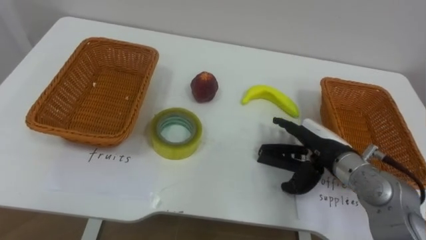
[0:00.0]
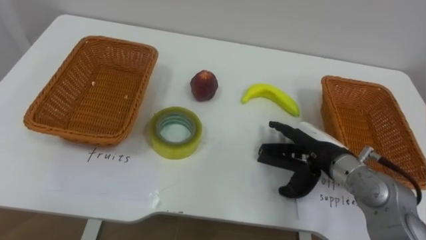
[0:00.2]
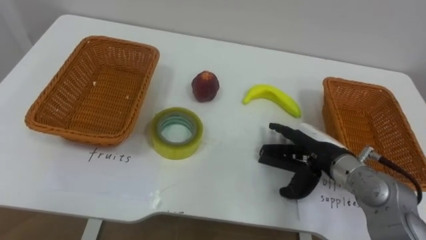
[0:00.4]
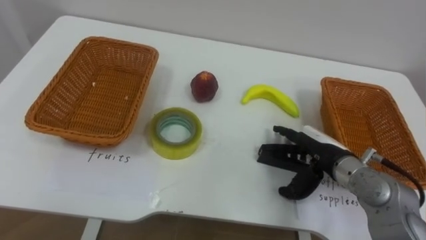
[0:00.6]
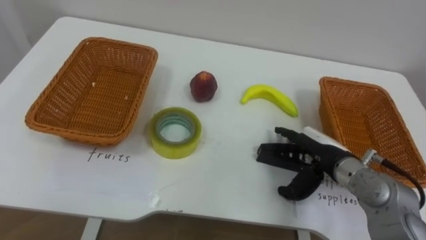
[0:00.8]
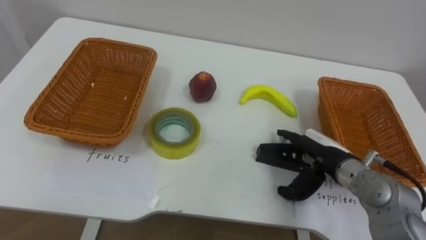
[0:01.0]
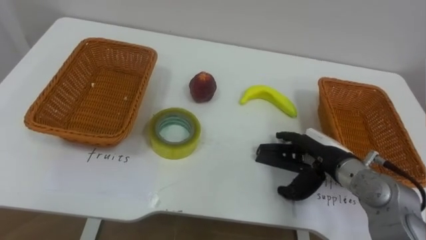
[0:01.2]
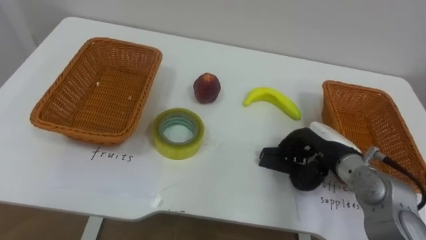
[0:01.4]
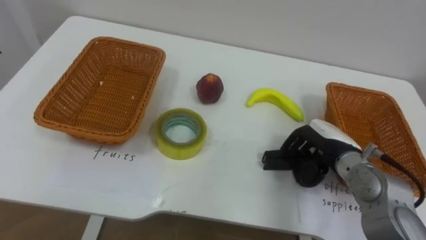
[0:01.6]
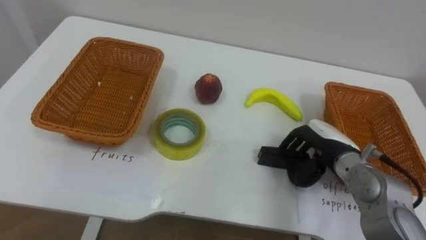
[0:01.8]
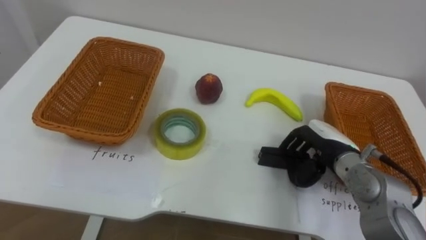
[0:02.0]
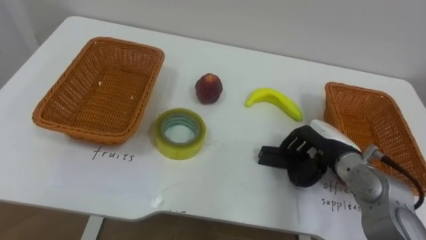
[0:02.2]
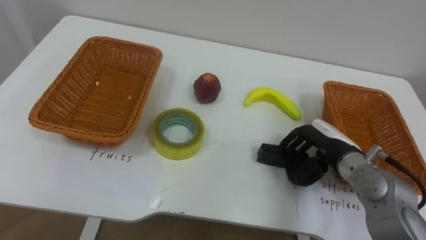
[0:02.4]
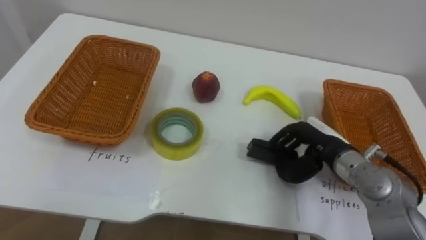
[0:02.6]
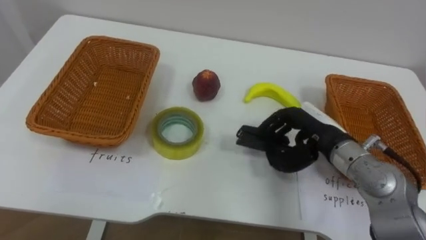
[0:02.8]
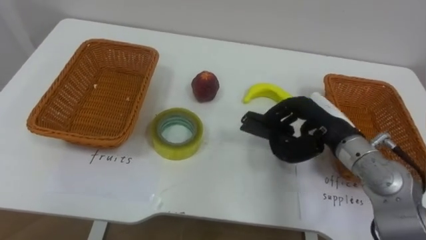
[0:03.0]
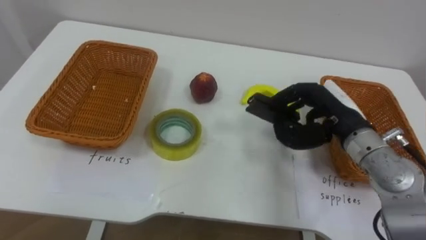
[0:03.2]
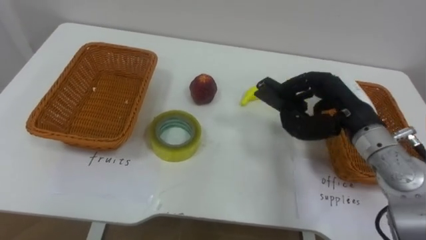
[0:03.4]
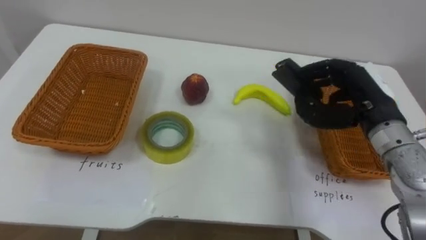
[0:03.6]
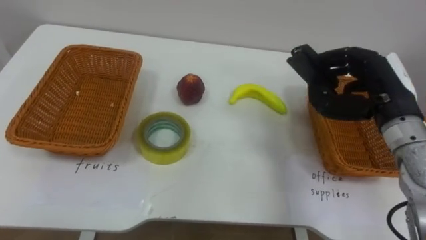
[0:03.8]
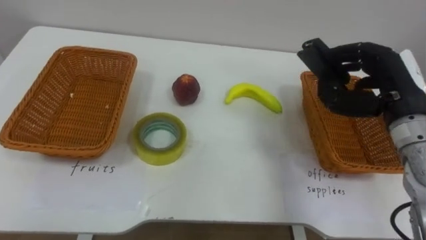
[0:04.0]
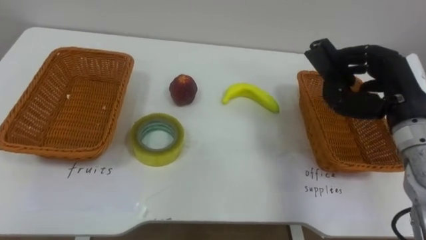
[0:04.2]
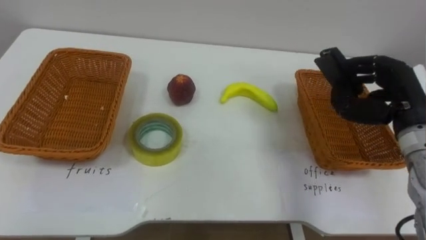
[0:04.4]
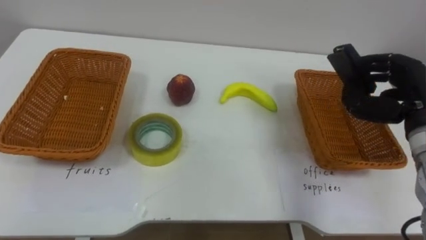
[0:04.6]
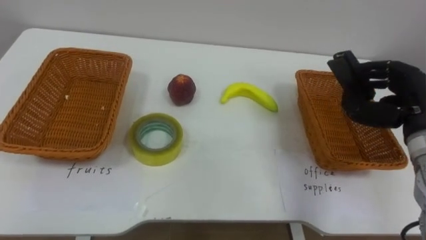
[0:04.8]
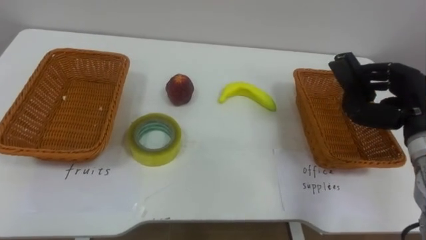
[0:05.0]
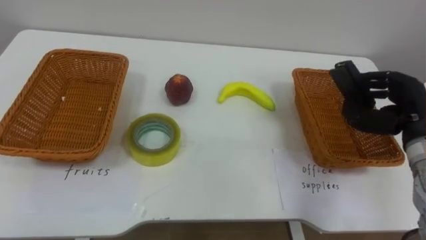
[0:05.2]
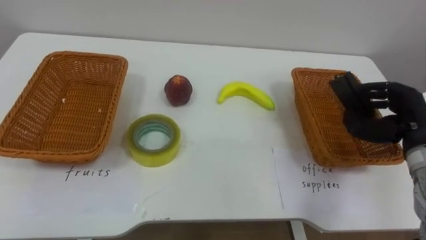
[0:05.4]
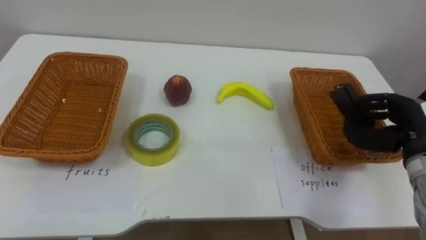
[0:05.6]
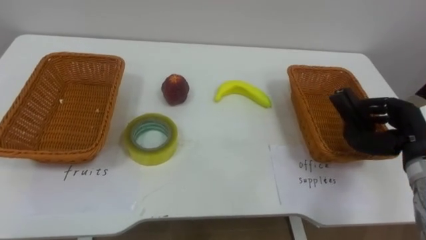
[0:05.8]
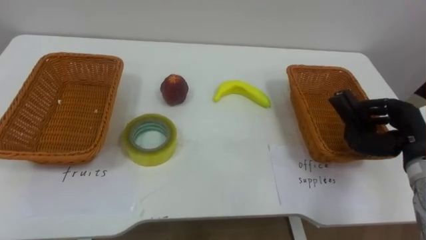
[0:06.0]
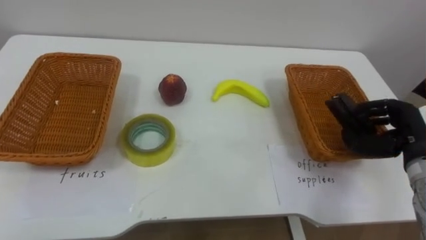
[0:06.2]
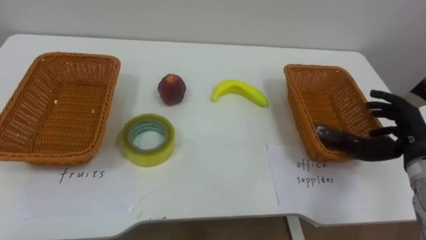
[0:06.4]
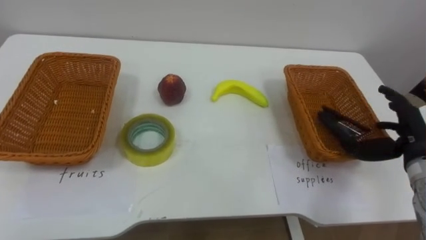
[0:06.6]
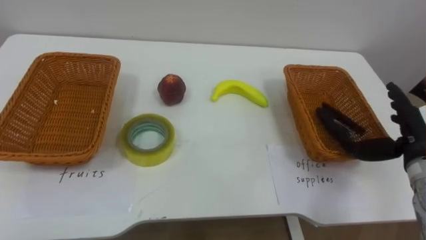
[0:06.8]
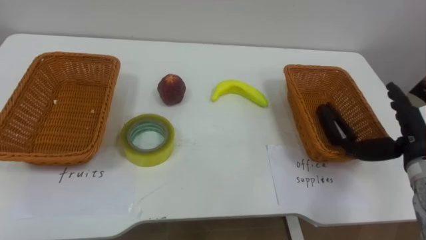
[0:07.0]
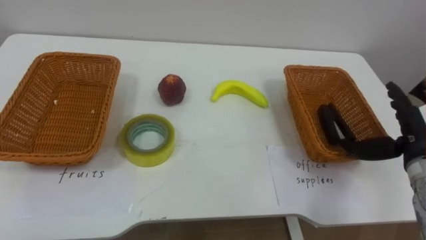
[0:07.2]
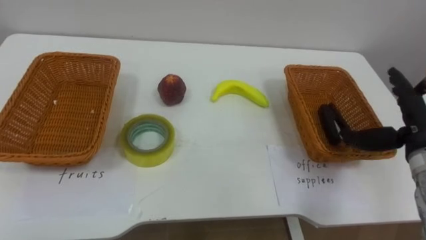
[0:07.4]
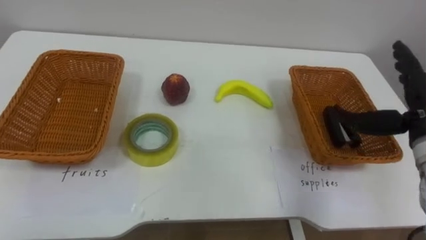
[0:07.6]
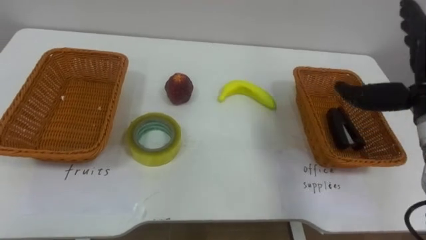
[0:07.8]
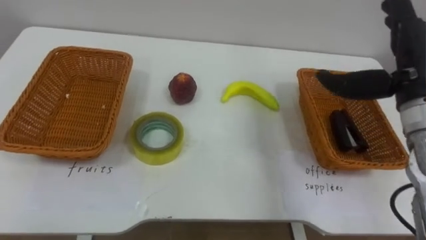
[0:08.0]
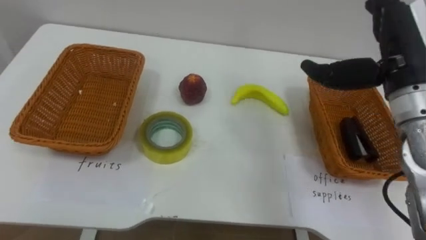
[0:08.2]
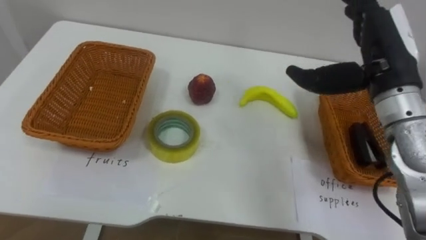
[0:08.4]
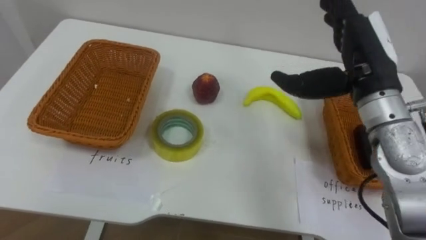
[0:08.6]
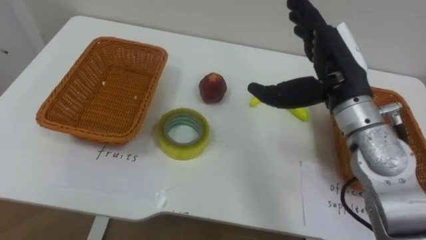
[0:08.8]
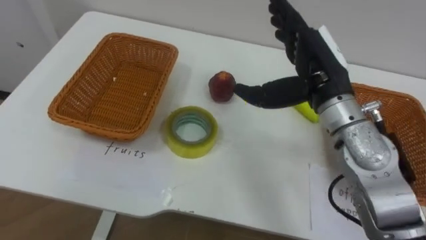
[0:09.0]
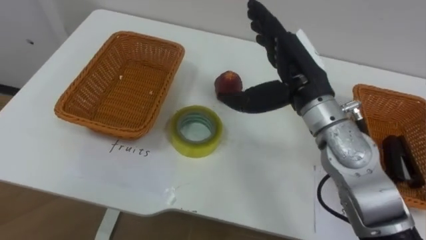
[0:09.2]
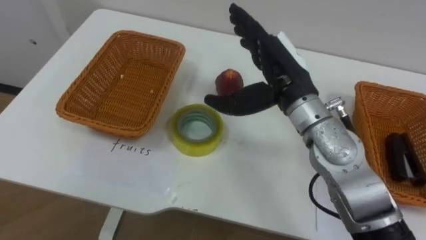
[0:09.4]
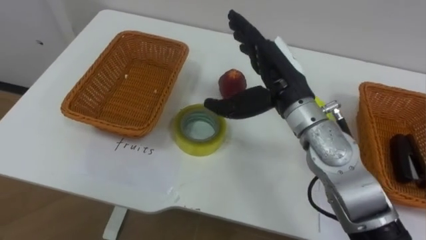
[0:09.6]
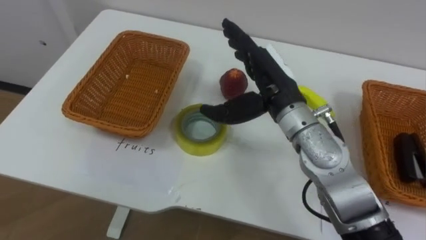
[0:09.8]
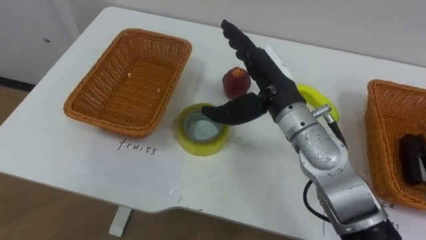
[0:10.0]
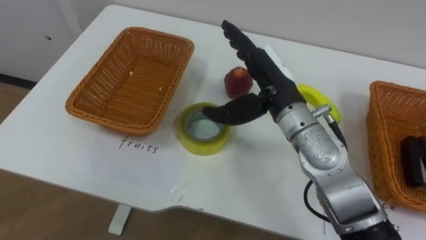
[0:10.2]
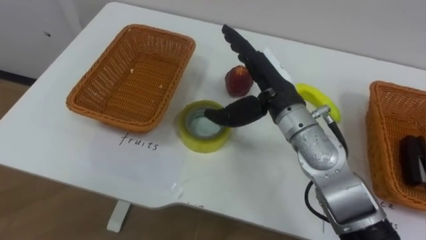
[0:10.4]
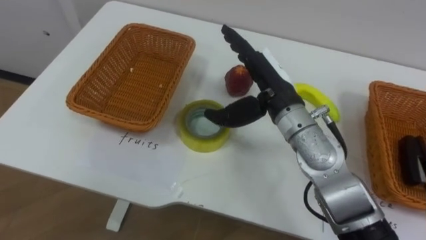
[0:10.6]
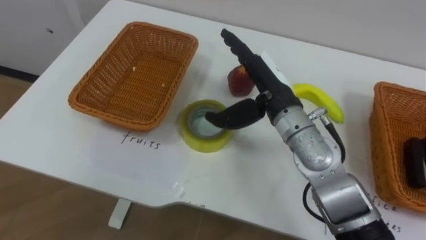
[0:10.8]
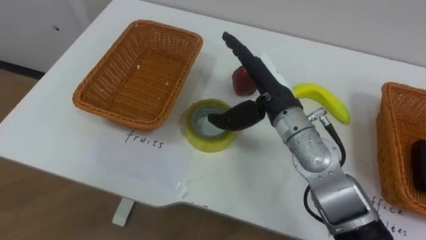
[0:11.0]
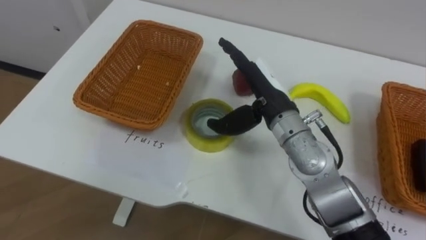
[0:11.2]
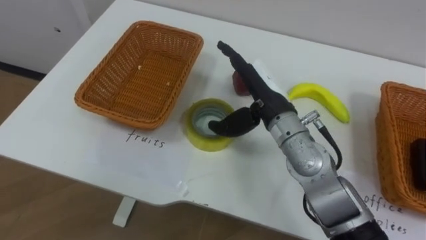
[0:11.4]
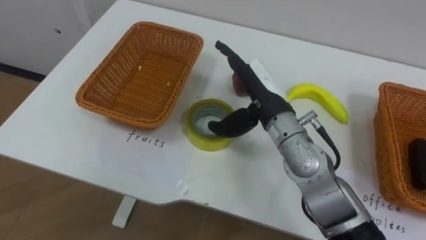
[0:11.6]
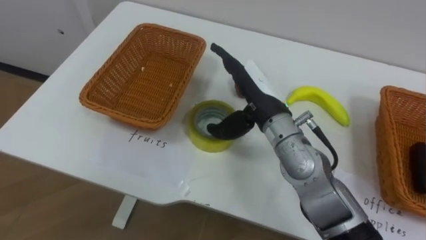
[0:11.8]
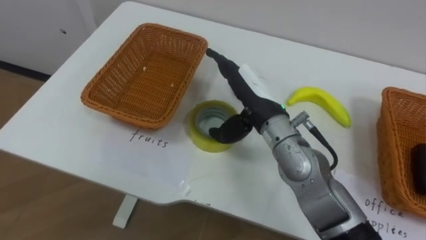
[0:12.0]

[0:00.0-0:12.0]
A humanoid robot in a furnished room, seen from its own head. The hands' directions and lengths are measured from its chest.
Task of the whole recording: Separate the items on the table and place them into the two baskets.
0:00.0 to 0:01.6: The right hand closes its fingers.
0:01.6 to 0:03.0: The right hand travels upward by roughly 5 cm.
0:03.0 to 0:04.4: The right hand is displaced to the right by approximately 10 cm.
0:04.4 to 0:06.0: The right hand goes some 5 cm downward.
0:06.0 to 0:07.6: The right hand shifts approximately 5 cm upward, and opens up.
0:07.6 to 0:09.0: The right hand shifts about 15 cm to the left.
0:09.0 to 0:10.4: The right hand travels to the left by some 5 cm.

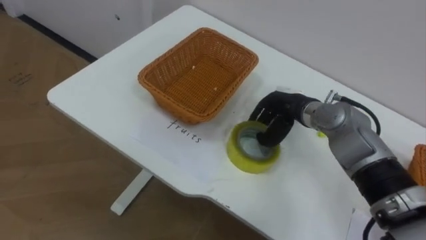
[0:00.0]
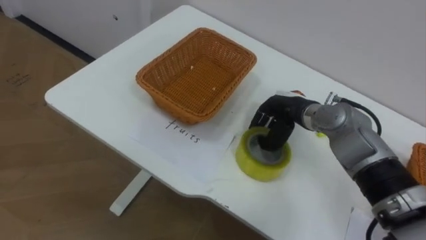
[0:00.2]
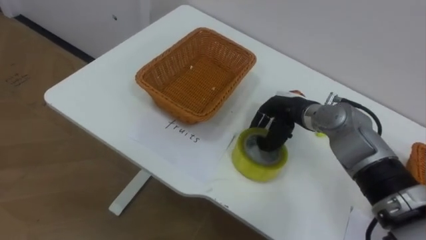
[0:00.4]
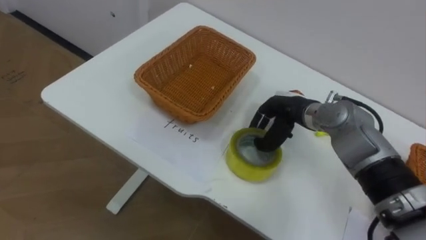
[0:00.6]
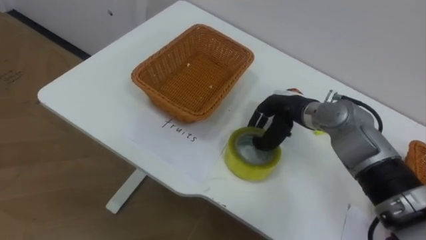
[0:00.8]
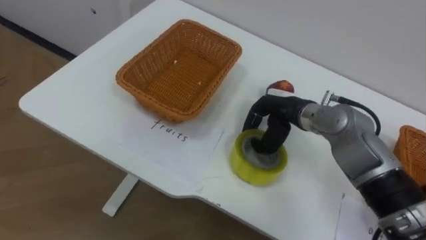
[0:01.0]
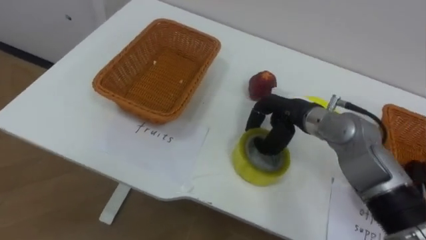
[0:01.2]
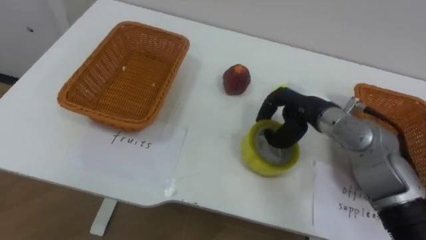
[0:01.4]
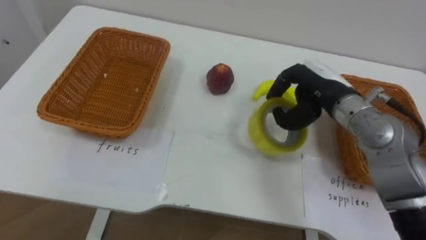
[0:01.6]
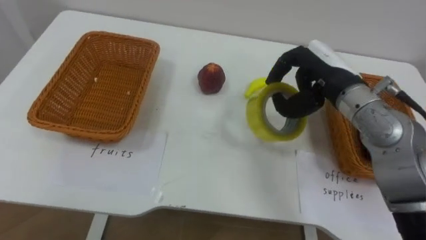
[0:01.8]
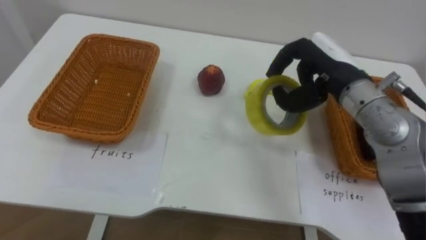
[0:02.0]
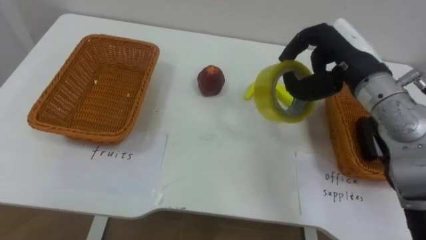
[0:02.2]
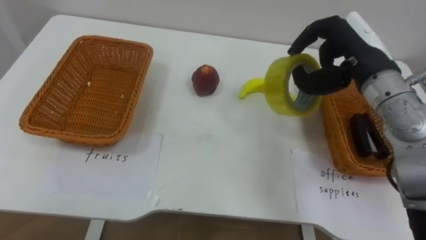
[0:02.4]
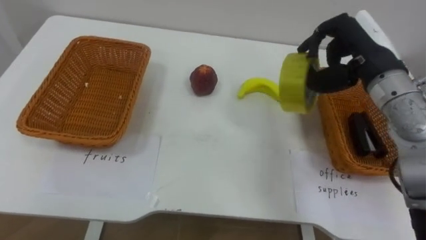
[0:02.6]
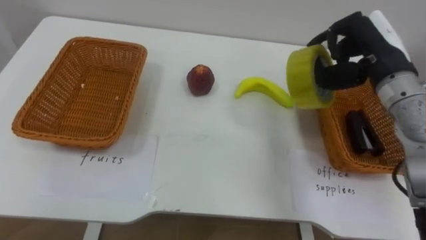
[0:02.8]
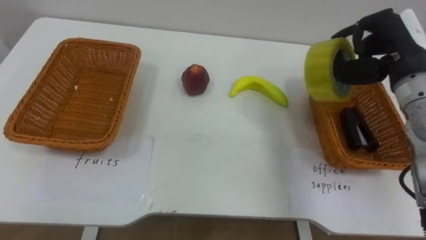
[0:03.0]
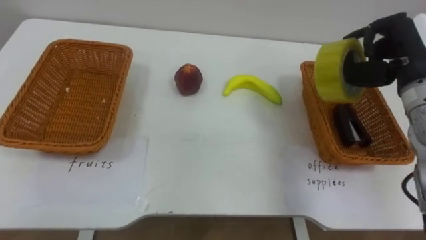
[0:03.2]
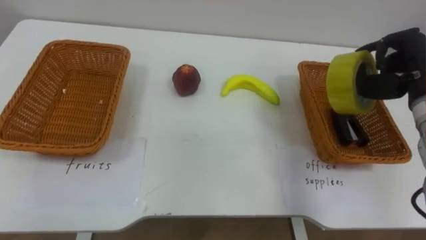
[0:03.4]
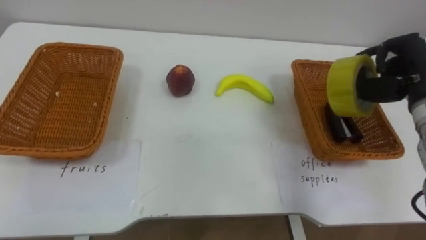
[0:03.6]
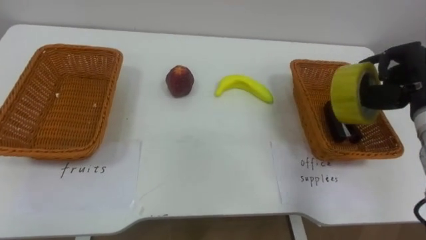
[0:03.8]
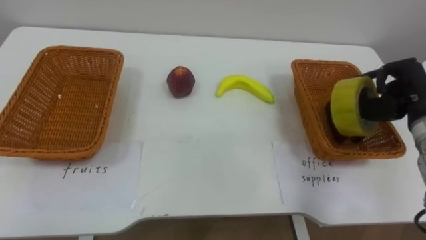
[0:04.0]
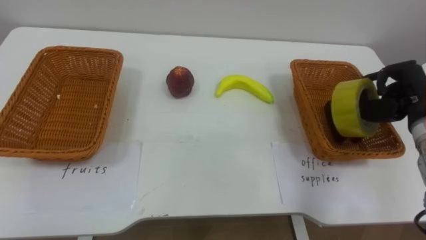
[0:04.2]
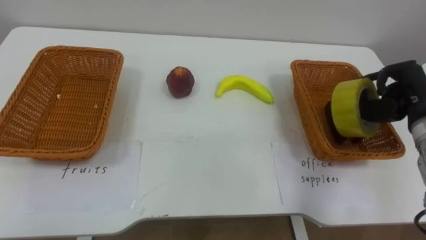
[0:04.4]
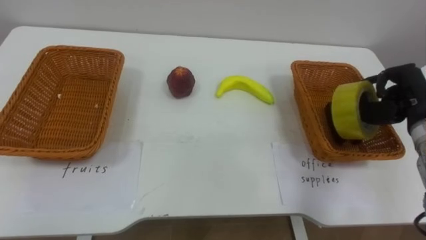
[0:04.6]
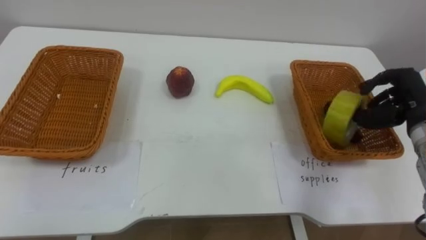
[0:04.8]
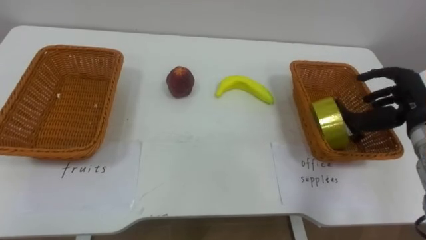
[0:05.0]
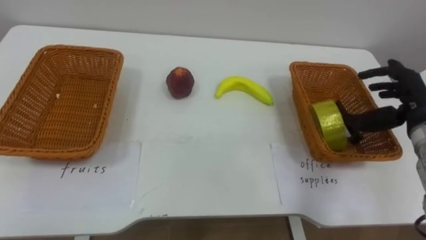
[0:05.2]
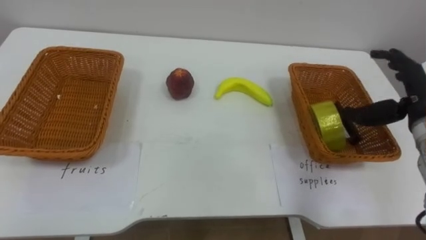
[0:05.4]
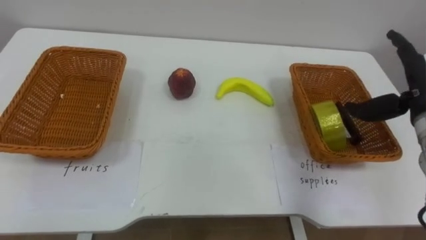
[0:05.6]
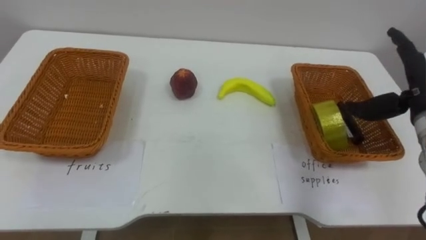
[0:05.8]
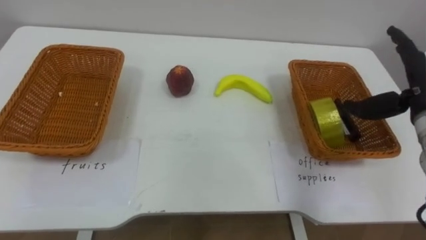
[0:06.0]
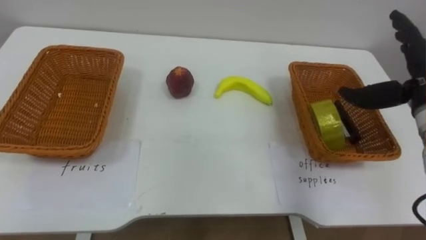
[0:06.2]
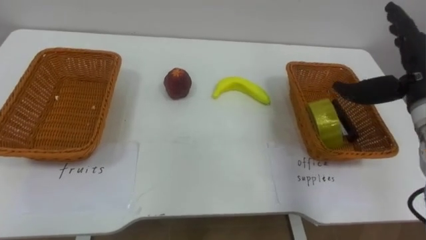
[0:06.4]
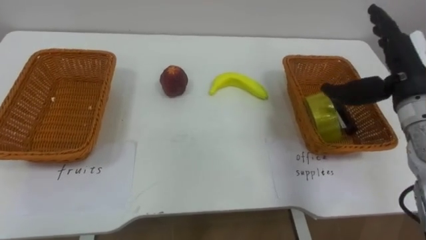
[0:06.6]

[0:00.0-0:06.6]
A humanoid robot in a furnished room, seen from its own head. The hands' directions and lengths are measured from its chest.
Task of the whole recording: Separate the items on the table and place them into the two baskets.
0:00.0 to 0:01.6: The right hand goes about 5 cm upward.
0:01.6 to 0:03.2: The right hand goes approximately 15 cm to the right and upward.
0:03.2 to 0:05.0: The right hand goes approximately 10 cm downward, and opens.
0:05.0 to 0:06.6: The right hand travels upward by about 5 cm, and opens its fingers.
